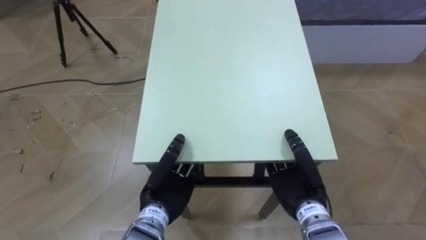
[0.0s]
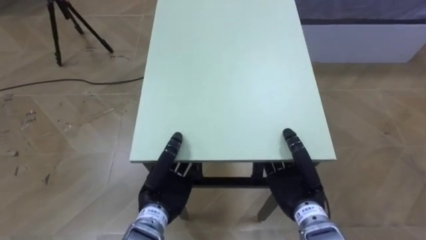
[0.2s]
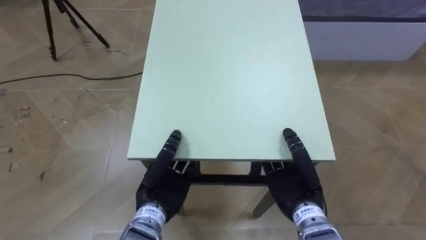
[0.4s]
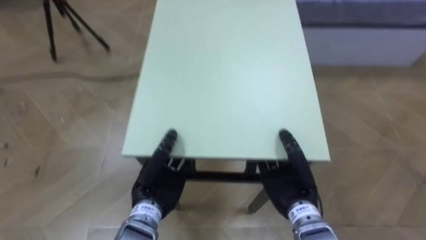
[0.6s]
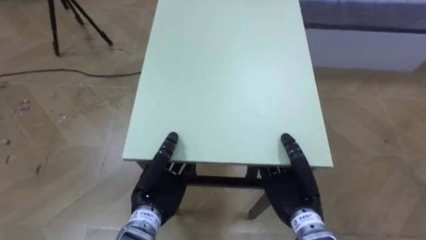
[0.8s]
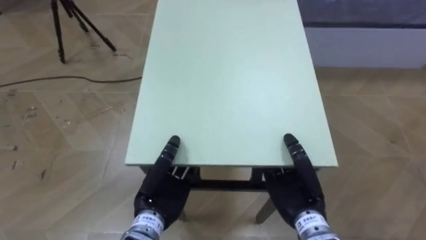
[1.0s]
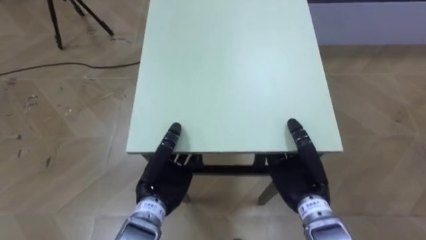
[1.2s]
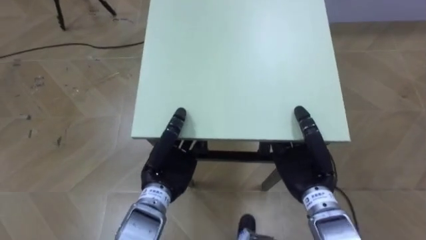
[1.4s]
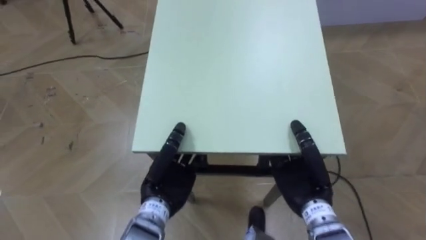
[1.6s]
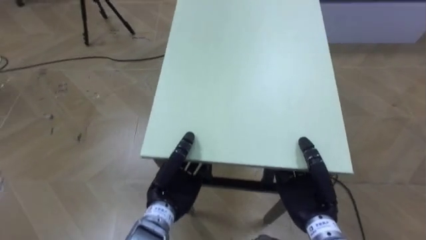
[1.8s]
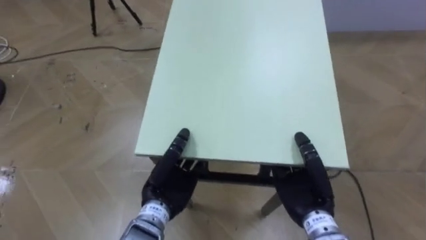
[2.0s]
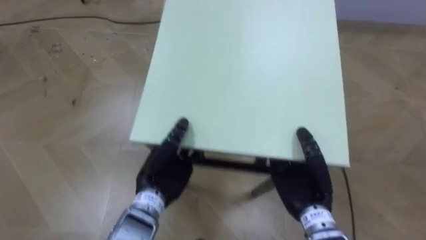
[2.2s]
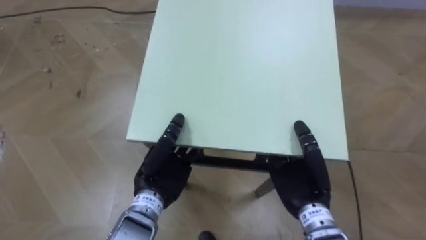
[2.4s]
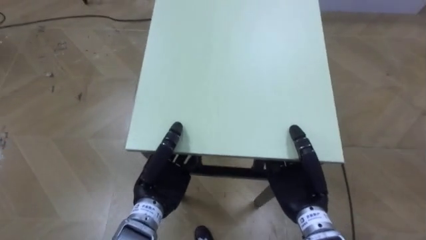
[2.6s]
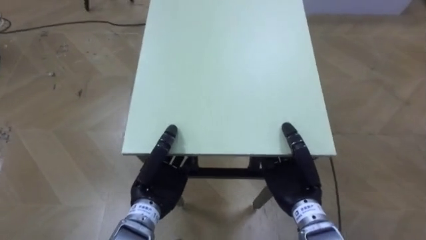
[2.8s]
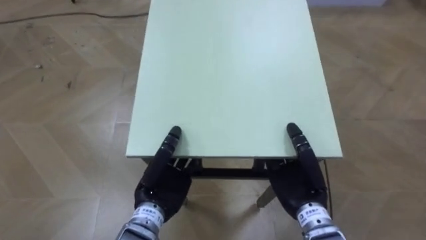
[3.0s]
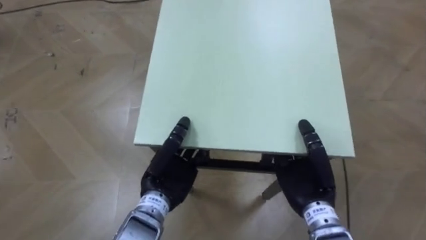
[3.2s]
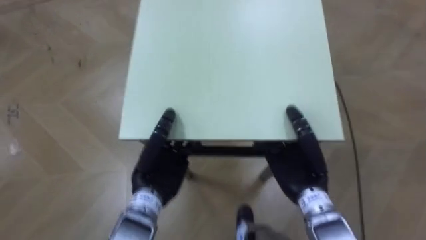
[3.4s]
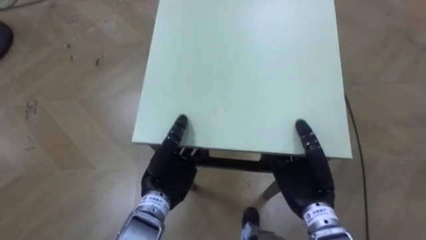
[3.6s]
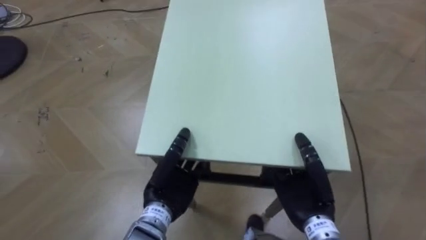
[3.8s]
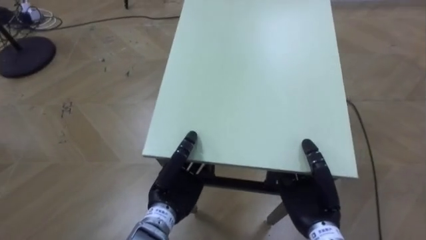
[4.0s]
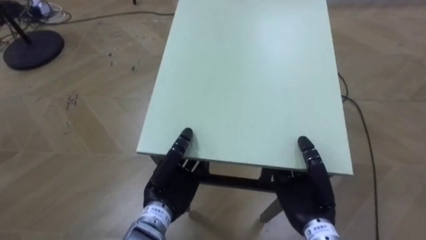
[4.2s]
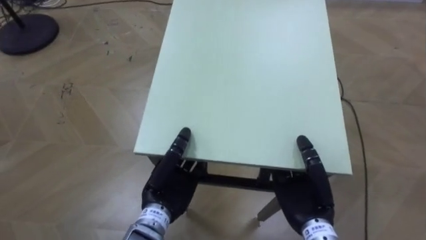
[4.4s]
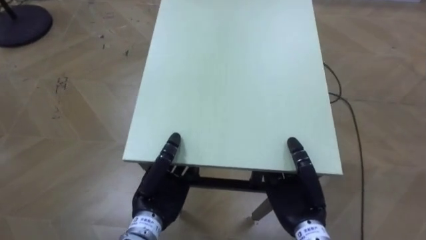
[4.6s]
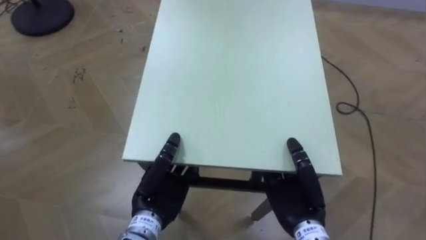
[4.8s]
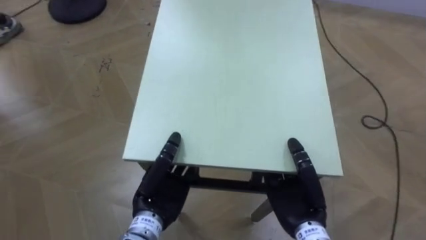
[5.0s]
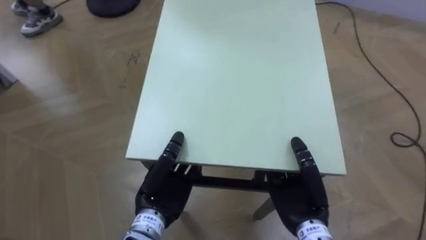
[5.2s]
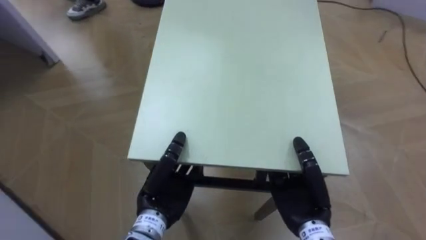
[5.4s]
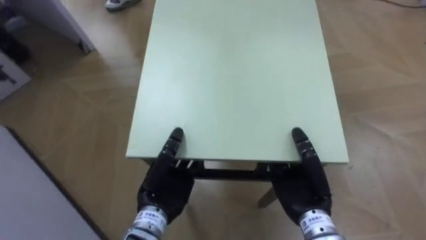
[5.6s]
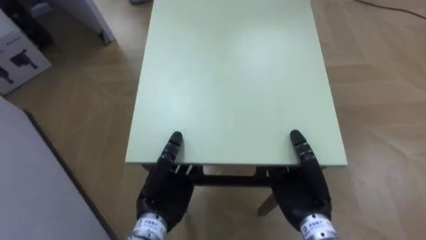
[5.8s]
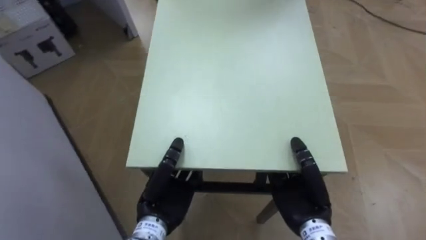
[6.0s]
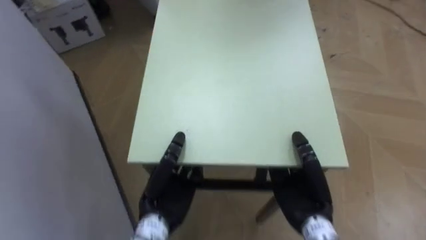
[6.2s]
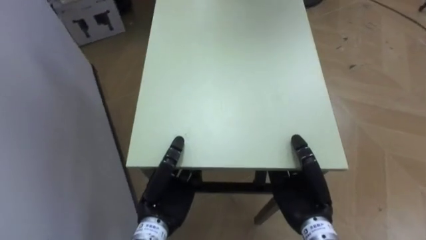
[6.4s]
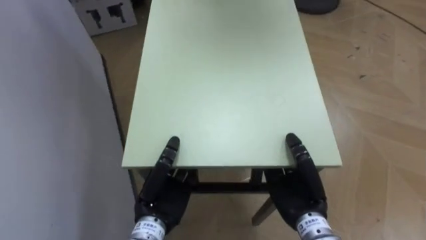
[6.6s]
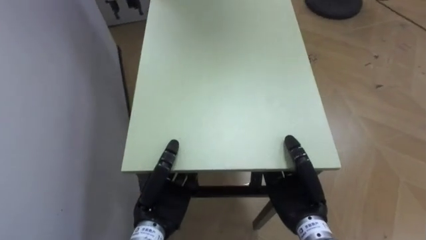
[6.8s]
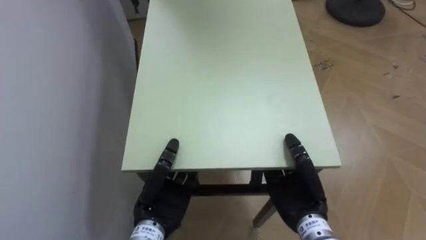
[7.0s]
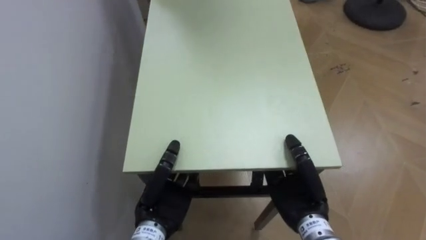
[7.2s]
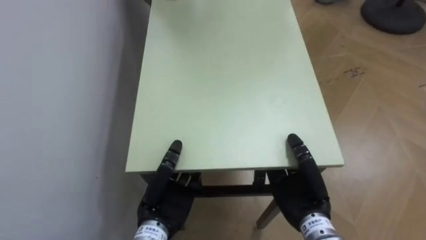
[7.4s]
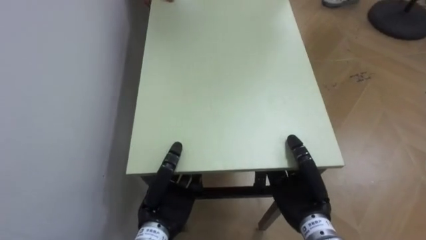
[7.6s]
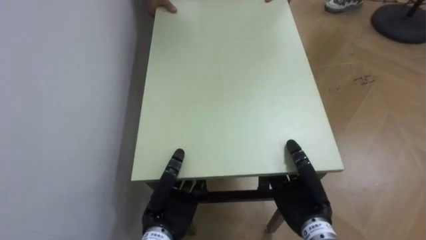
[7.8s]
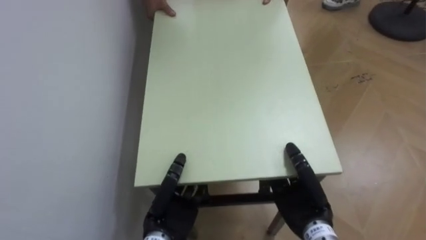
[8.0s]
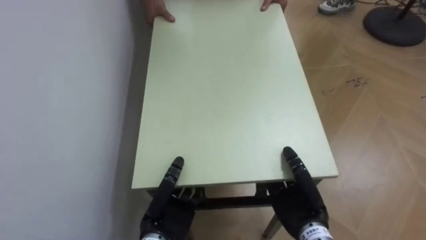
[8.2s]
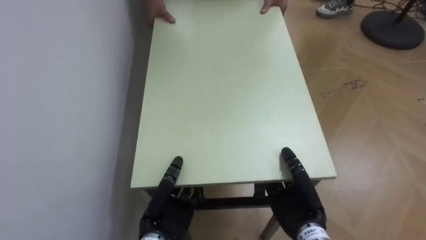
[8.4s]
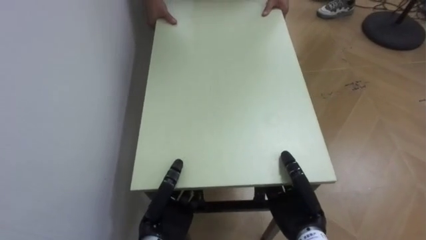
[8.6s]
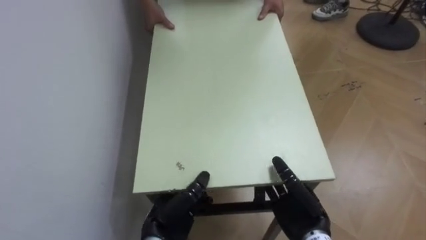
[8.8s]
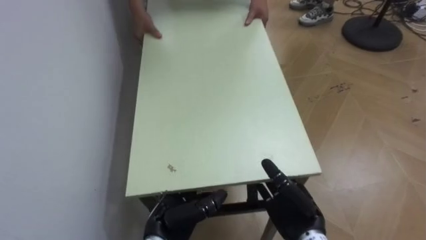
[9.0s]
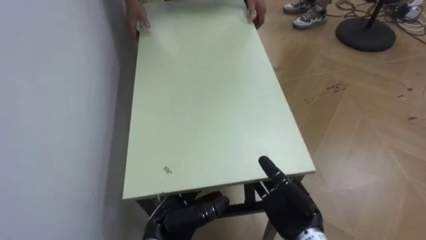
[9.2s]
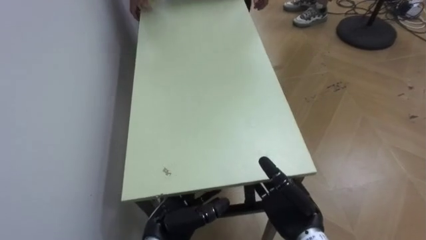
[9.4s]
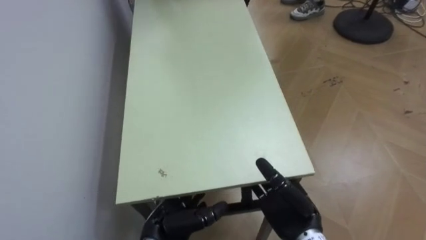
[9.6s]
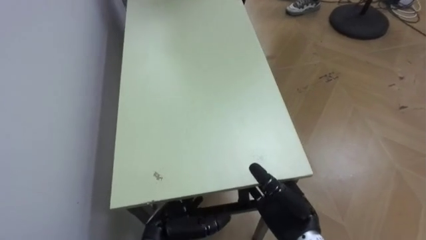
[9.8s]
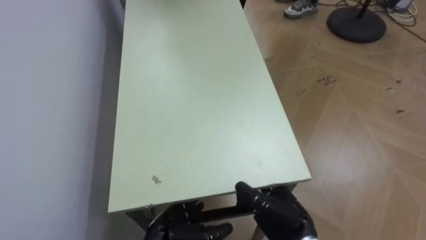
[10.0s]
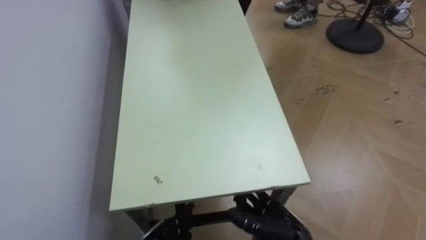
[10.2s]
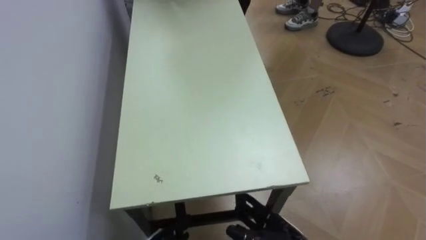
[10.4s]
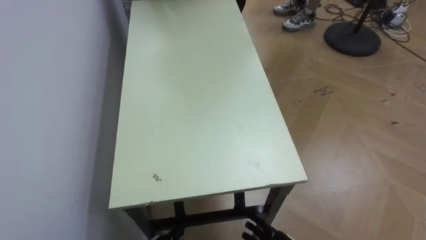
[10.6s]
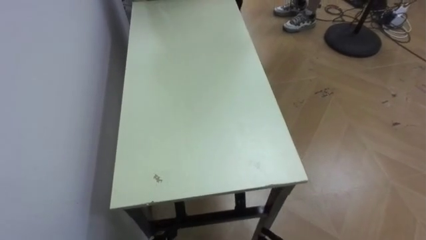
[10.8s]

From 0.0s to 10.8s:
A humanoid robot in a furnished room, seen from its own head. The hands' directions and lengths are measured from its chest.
Task of the whole recording: Move the table to the back left with someone.
From 4.6s to 6.2s: The robot faces roughly 50 degrees further to its left.
From 6.2s to 7.8s: The robot rotates some 25 degrees to its left.
From 7.8s to 9.2s: The left hand opens its fingers. Meanwhile the right hand opens up.

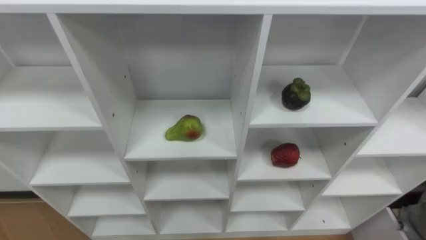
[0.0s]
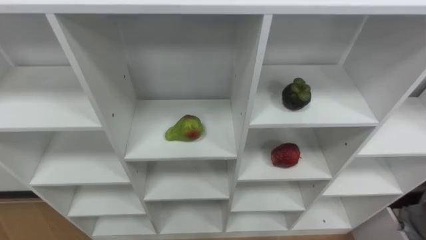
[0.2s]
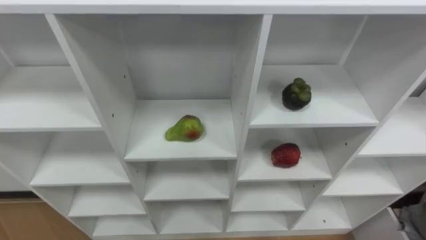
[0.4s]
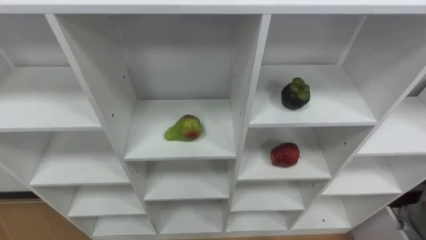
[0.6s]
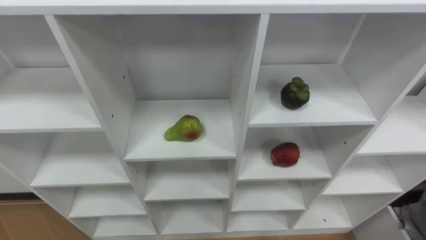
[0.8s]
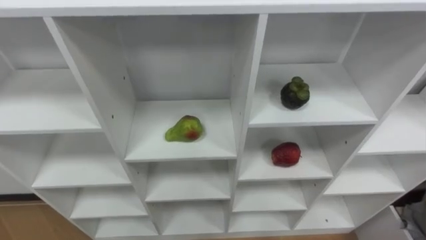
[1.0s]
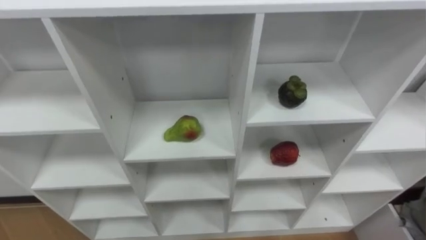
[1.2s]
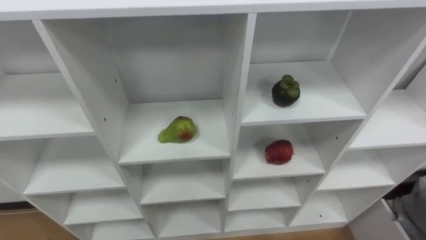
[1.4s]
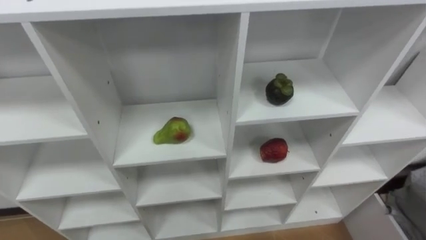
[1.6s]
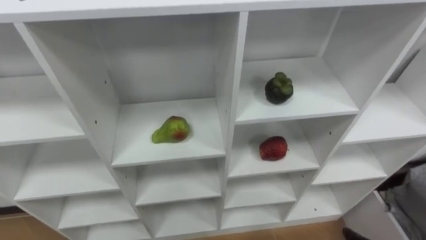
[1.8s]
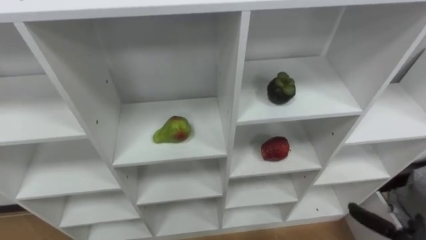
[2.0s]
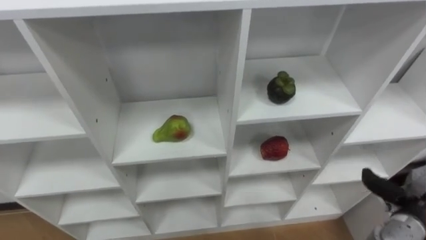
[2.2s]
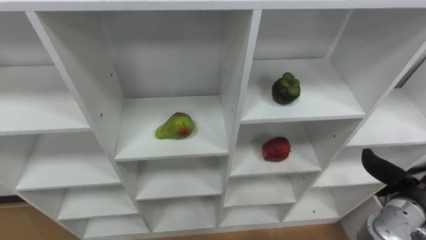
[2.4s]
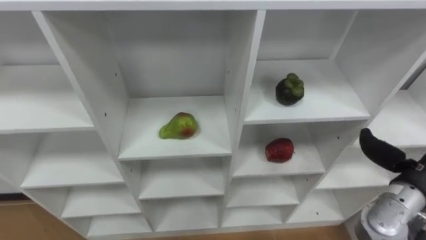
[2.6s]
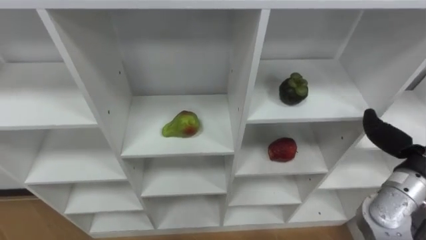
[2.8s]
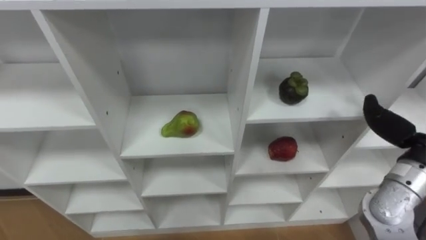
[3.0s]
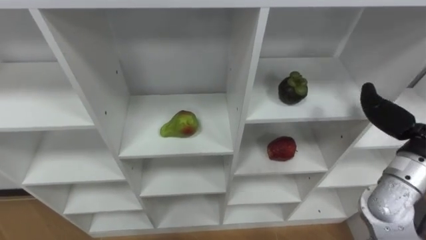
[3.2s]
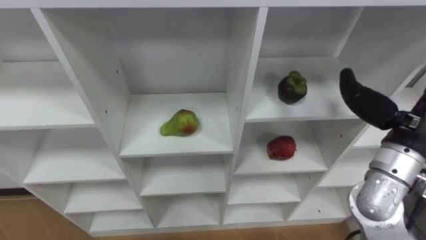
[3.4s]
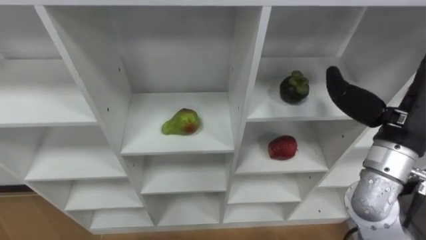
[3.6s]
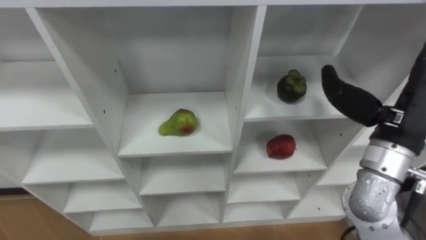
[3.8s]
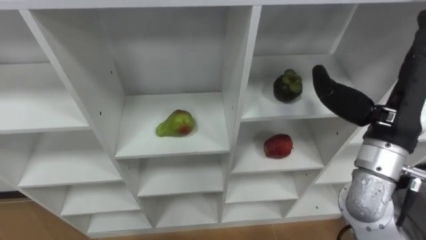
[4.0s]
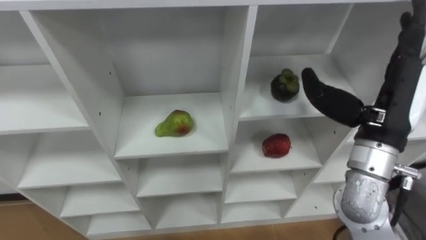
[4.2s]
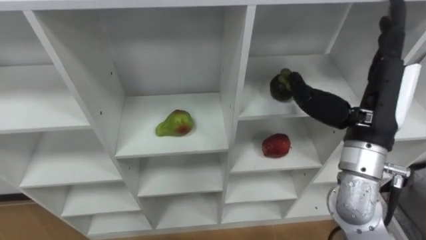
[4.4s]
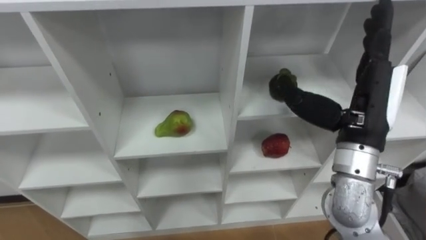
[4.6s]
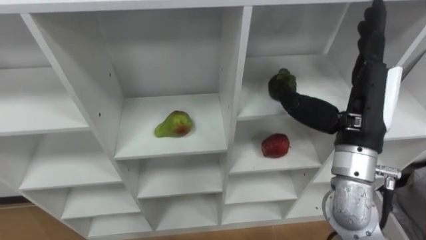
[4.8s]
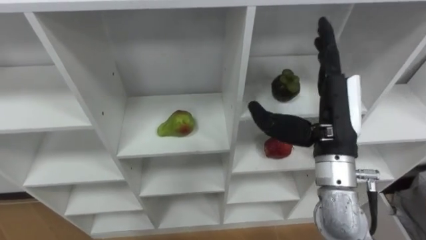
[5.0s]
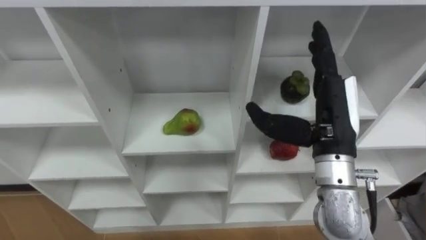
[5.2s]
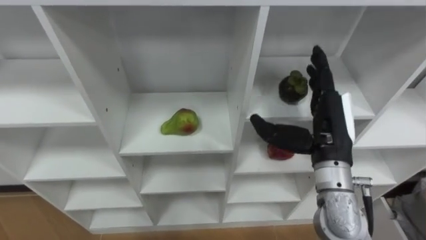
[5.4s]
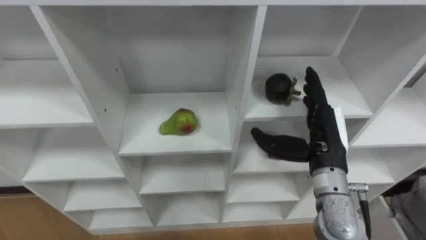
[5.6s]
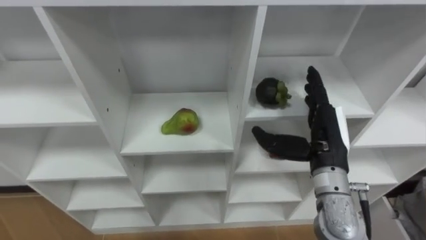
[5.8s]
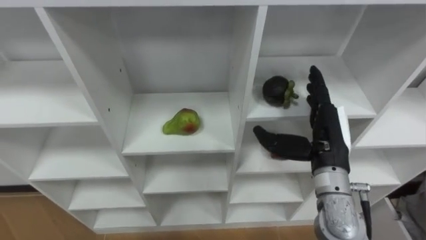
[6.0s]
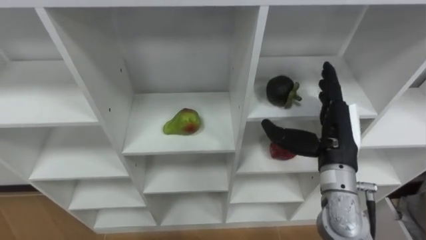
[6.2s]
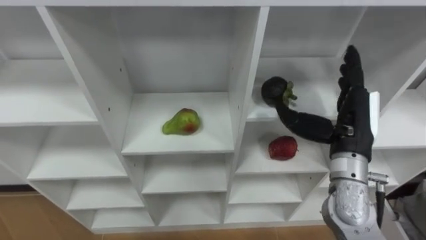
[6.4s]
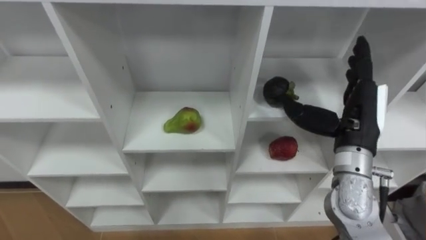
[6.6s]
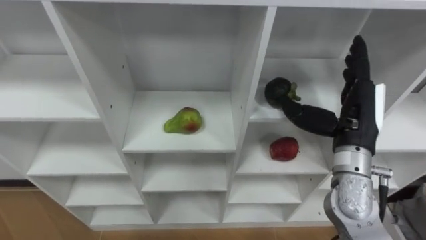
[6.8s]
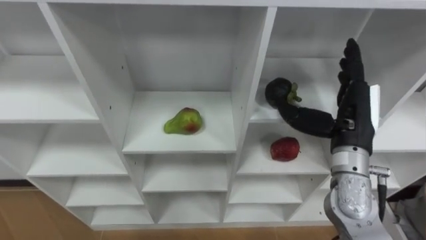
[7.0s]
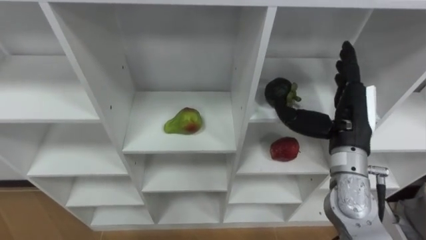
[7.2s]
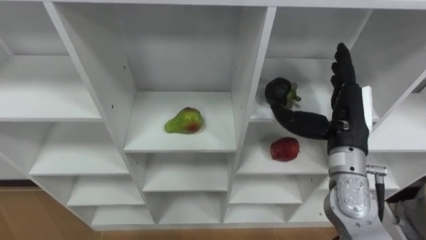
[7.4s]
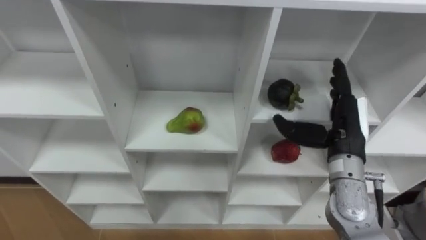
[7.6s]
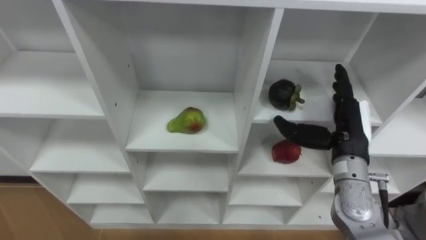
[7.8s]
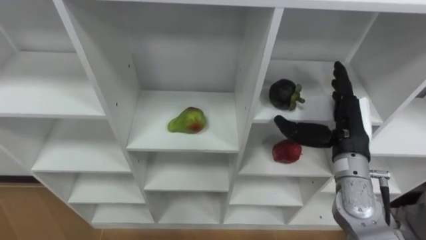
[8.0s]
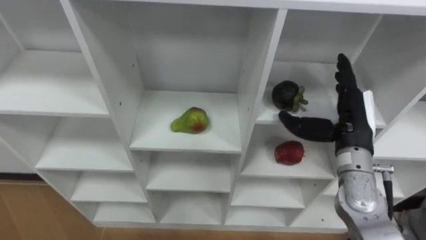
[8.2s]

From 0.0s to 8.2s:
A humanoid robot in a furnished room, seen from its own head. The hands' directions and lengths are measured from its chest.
Task of the whole recording: Hold the basket and collect the fruits from 3 different cells of the closet into it.
From 5.0s to 6.6s: The right hand moves some 5 cm.
